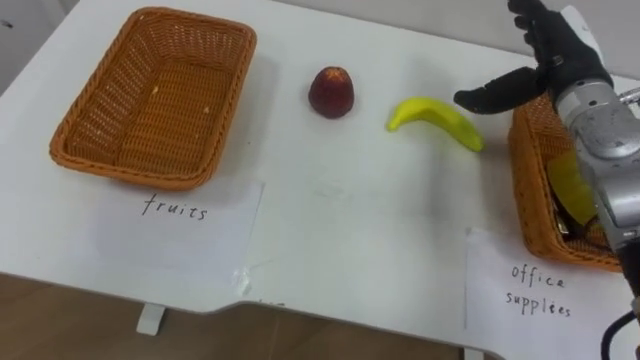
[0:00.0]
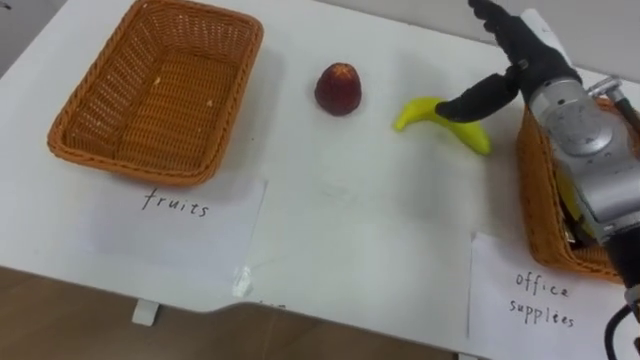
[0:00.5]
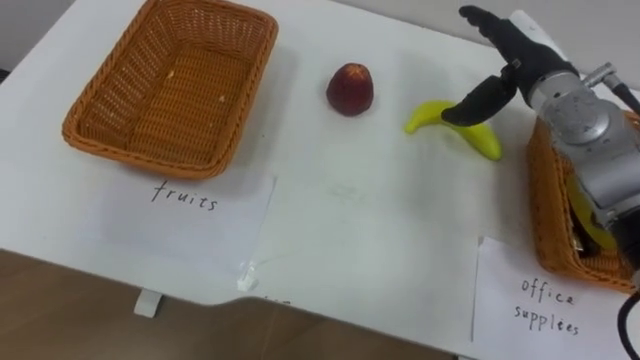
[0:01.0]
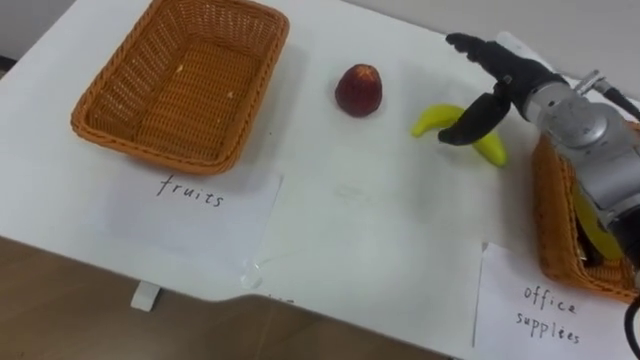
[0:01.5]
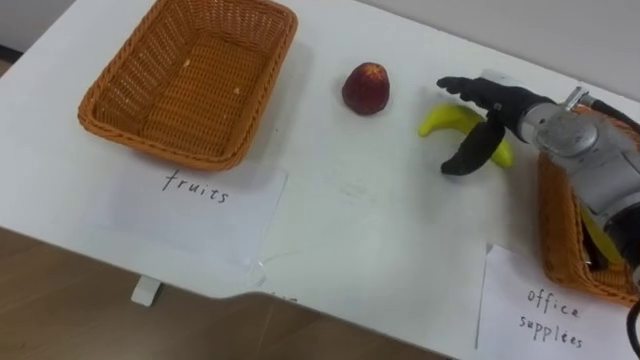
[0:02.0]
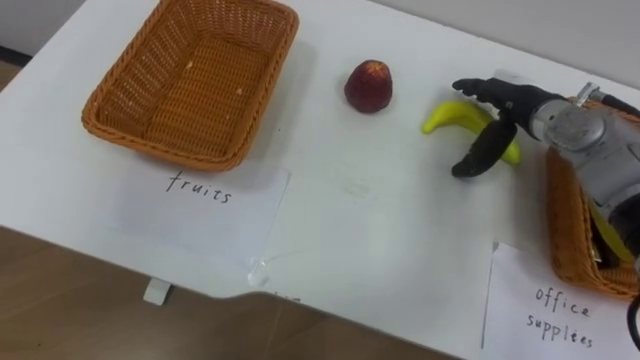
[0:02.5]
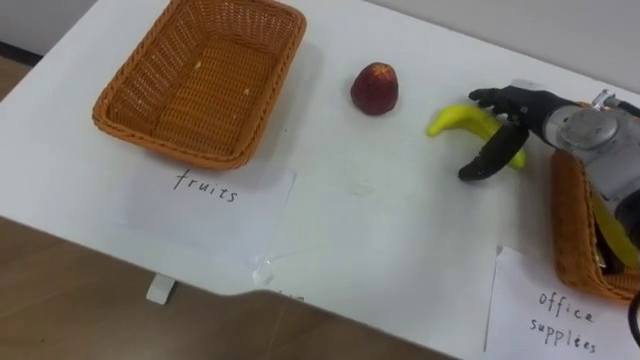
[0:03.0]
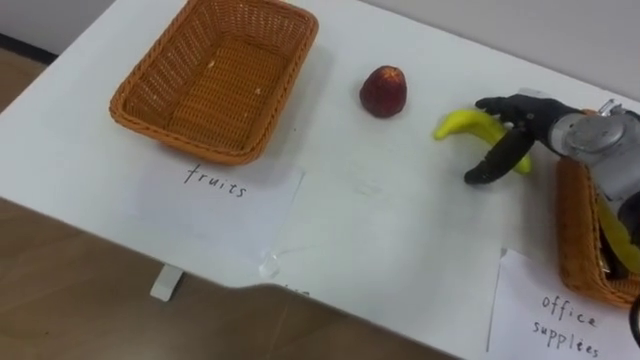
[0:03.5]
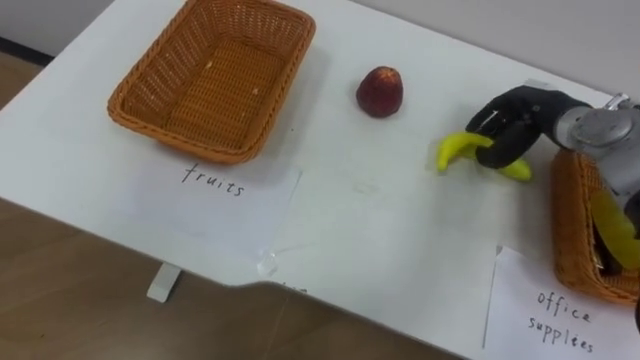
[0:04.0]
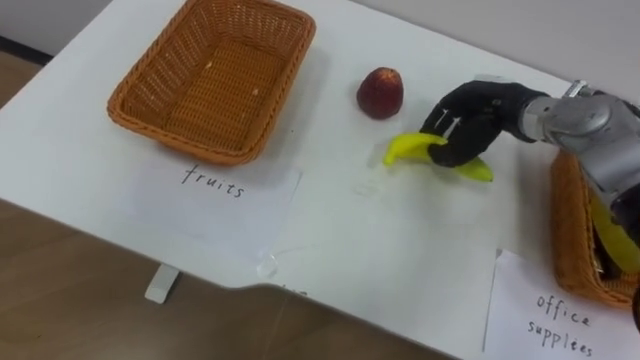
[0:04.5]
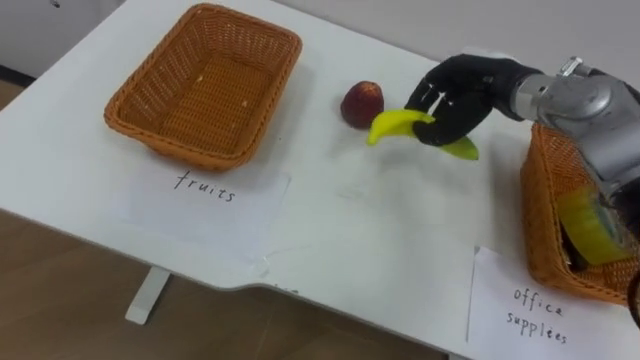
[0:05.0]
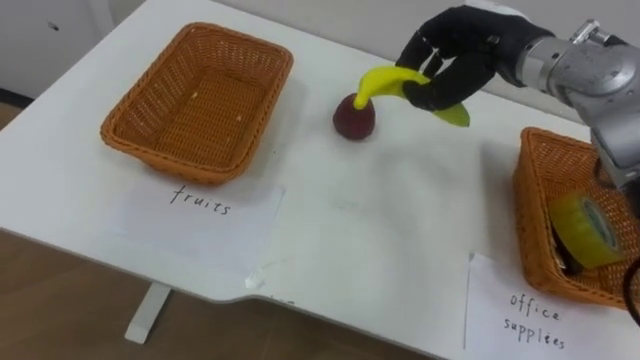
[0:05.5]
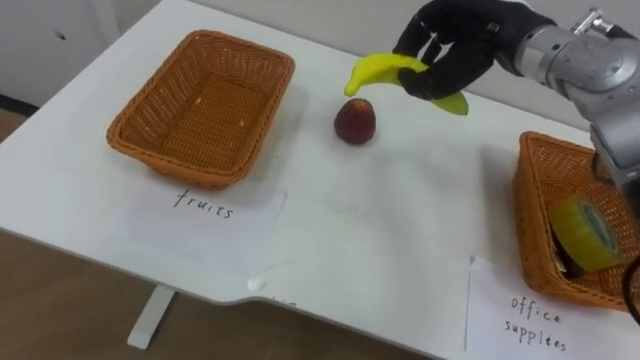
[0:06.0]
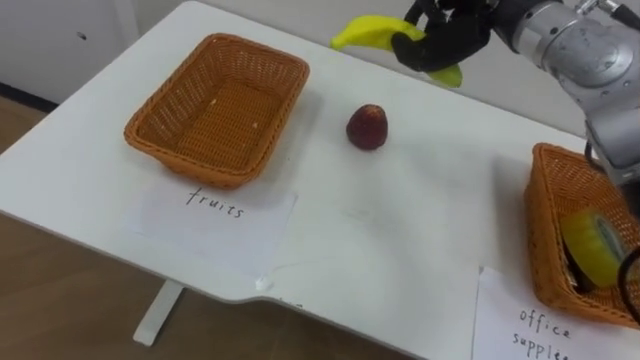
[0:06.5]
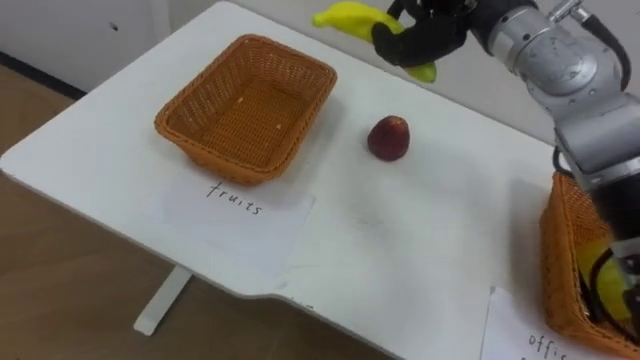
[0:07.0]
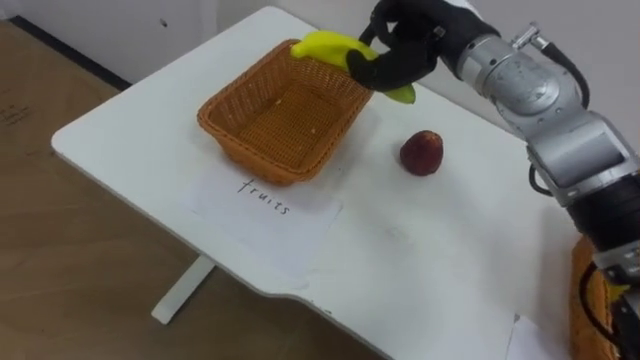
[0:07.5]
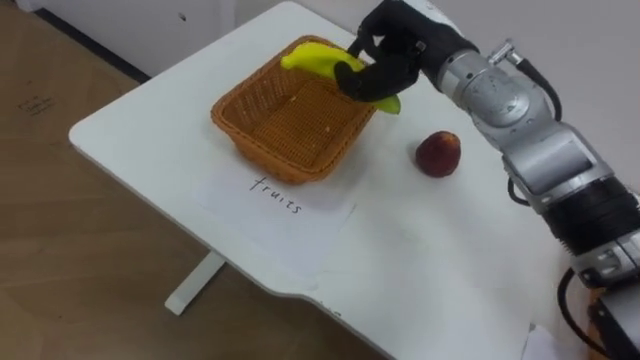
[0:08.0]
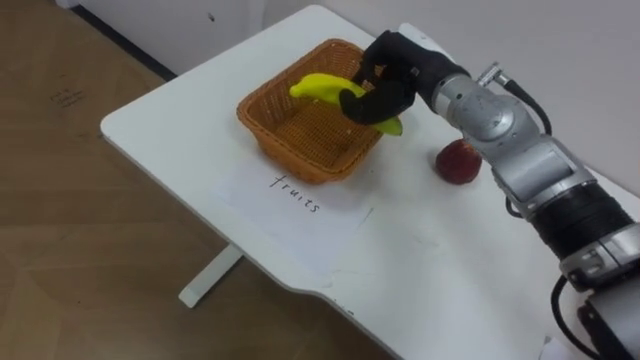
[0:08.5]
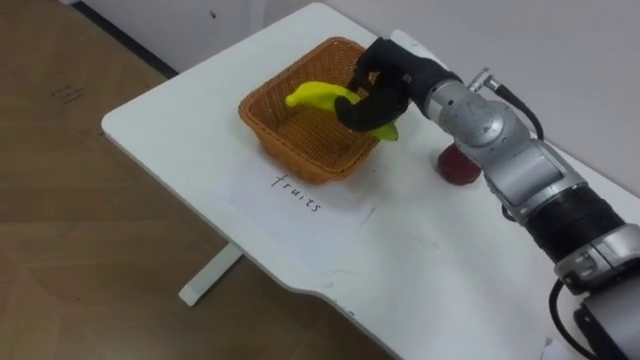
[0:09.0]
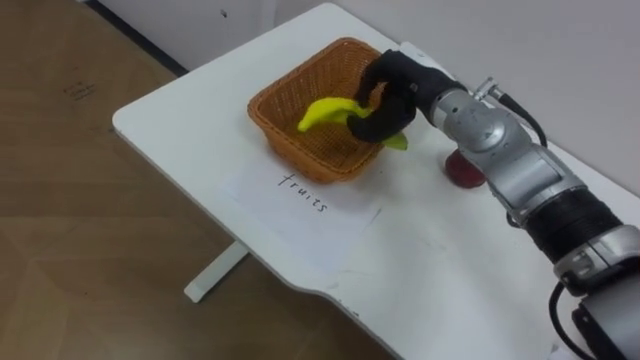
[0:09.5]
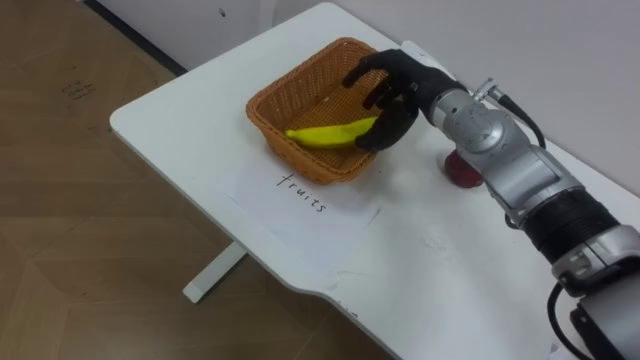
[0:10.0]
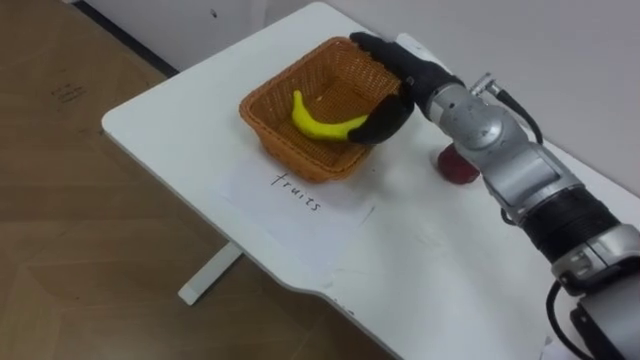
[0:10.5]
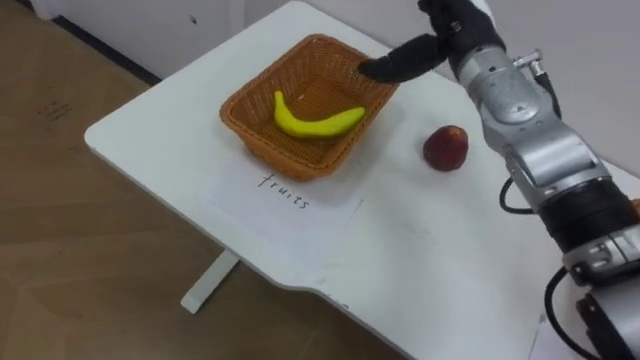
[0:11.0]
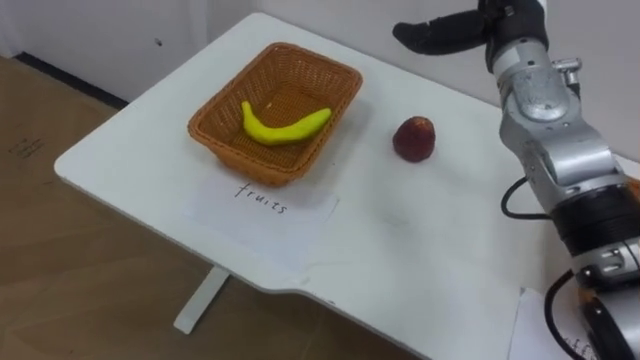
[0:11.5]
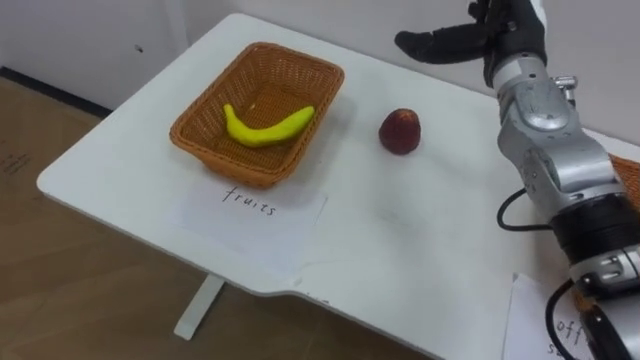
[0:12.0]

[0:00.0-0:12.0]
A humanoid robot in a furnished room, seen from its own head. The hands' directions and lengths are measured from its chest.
Task of the whole recording: Separate the items on the table and place them into the two baskets.
0:00.0 to 0:02.0: The right hand is displaced downward by some 5 cm.
0:02.0 to 0:04.0: The right hand goes some 5 cm to the right, and closes its fingers.
0:04.0 to 0:06.0: The right hand travels upward and to the left by roughly 15 cm.
0:08.0 to 0:10.0: The right hand is displaced downward by roughly 5 cm, and opens up.
0:10.0 to 0:12.0: The right hand travels to the right and upward by some 10 cm, and opens up.

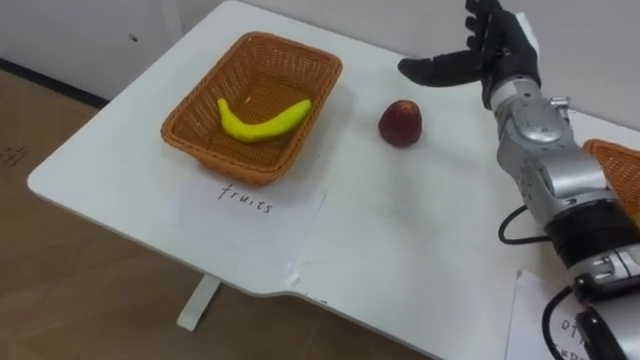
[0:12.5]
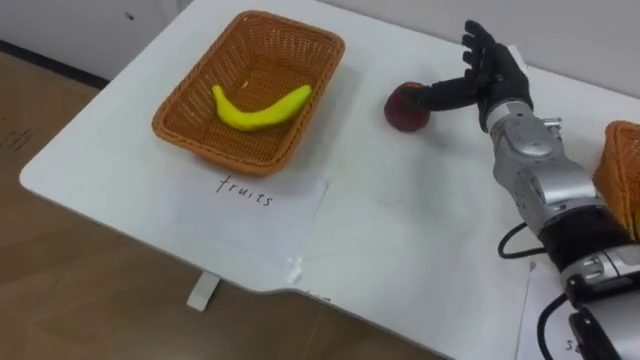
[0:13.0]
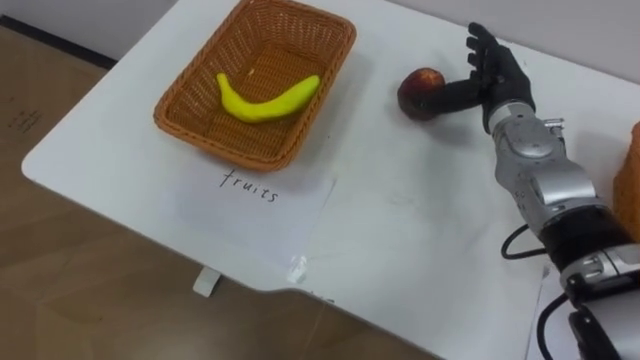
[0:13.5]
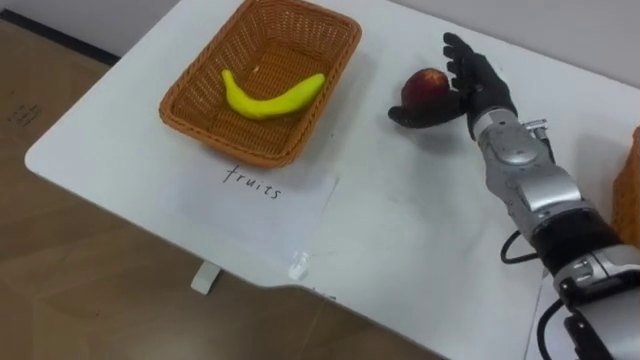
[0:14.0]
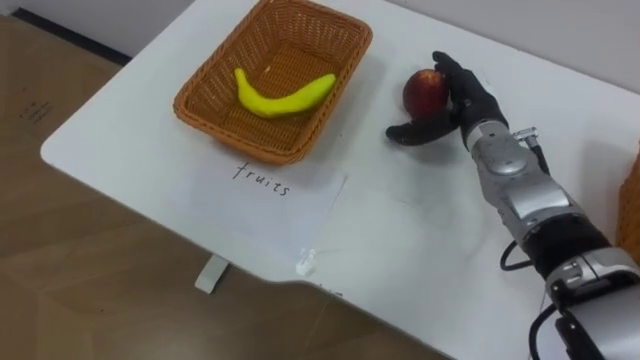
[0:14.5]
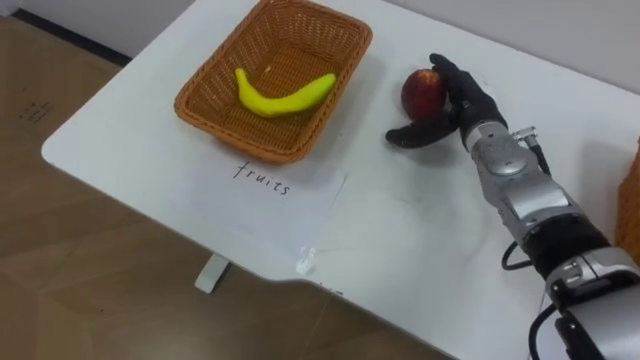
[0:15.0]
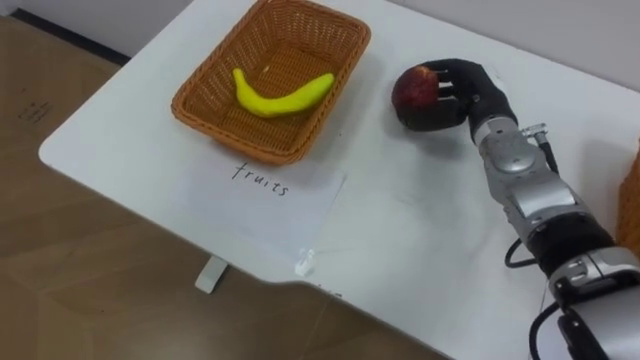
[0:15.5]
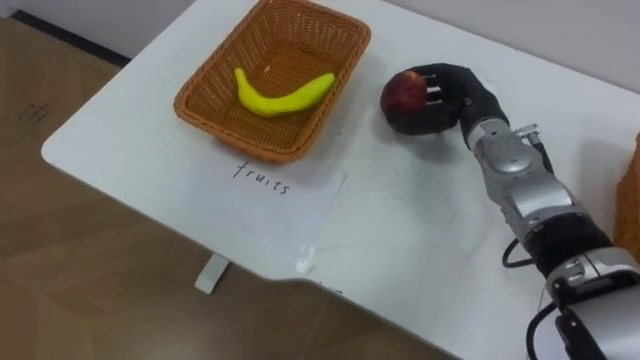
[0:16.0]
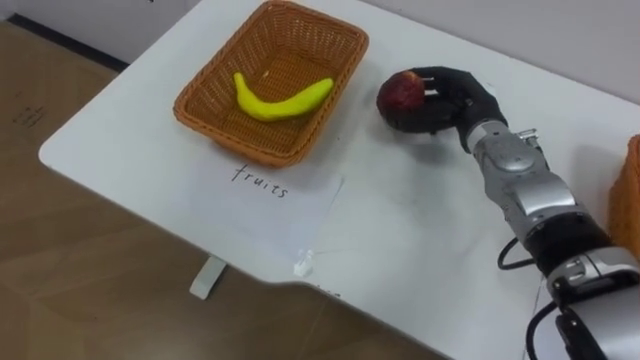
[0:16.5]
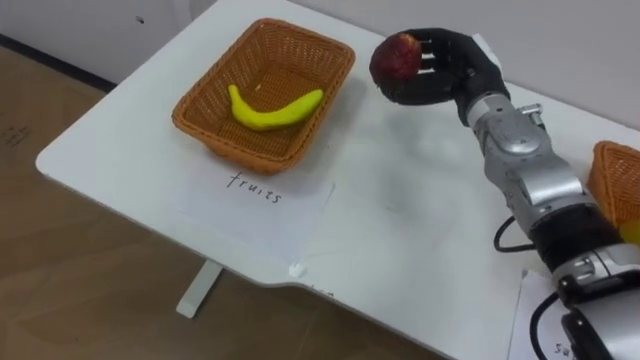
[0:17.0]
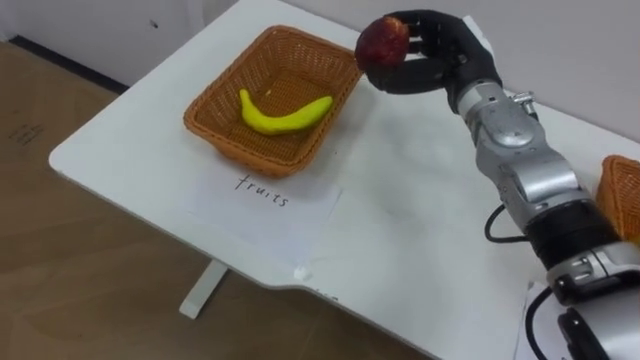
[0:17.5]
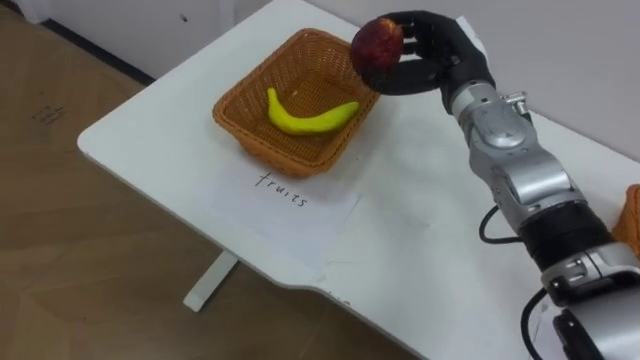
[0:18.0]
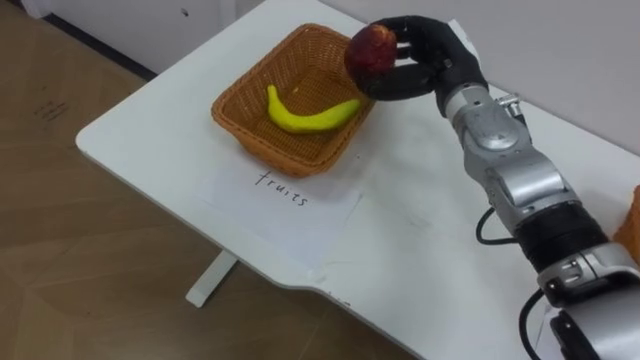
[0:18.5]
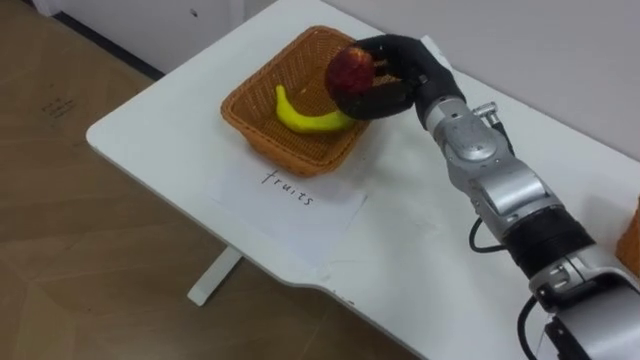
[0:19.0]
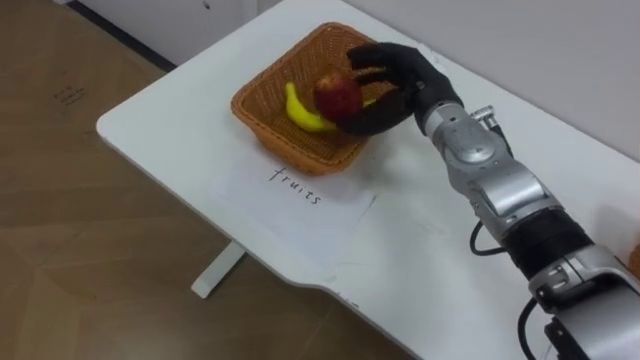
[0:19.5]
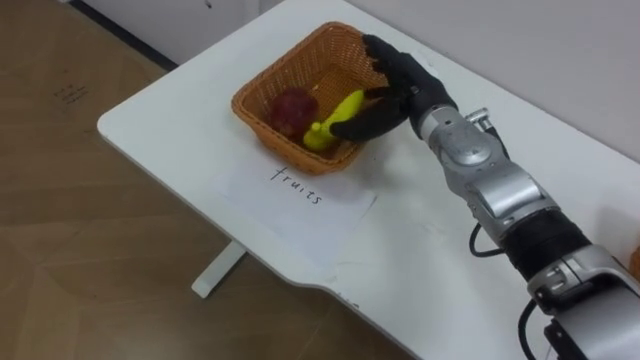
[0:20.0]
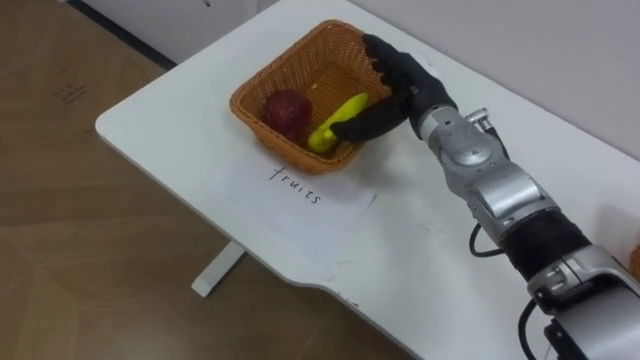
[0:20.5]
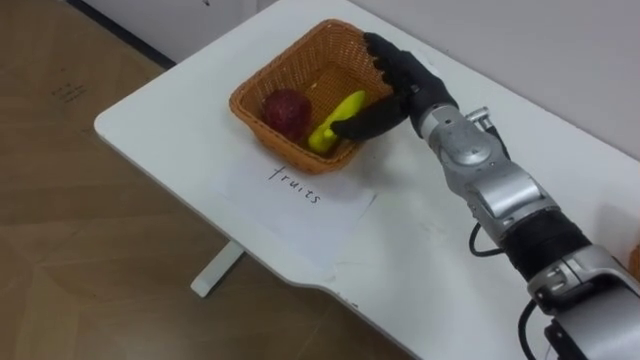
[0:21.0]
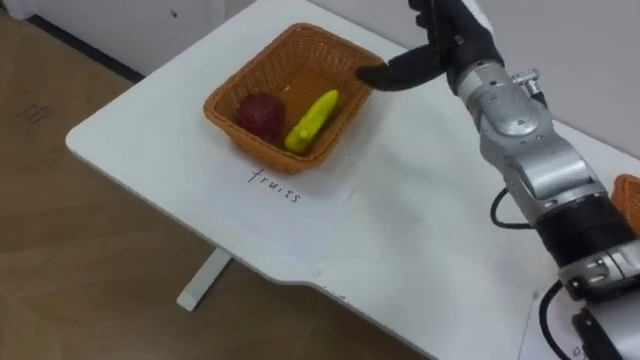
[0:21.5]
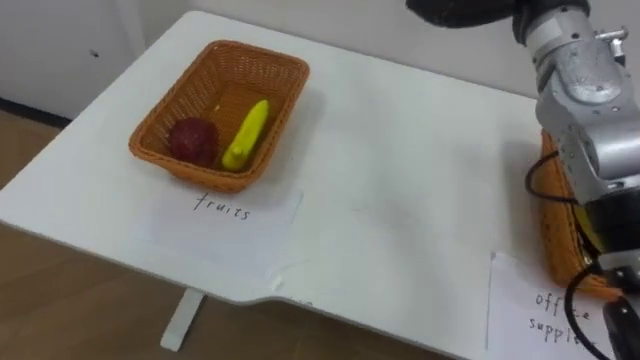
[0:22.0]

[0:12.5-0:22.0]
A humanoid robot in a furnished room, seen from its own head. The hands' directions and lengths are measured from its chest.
Task of the whole recording: Separate the items on the table and place them into the two baskets.
0:12.5 to 0:14.5: The right hand shifts roughly 5 cm downward.
0:14.5 to 0:16.5: The right hand closes up.
0:16.5 to 0:18.0: The right hand travels upward by about 5 cm.
0:18.0 to 0:20.0: The right hand shifts by approximately 5 cm, and opens its fingers.
